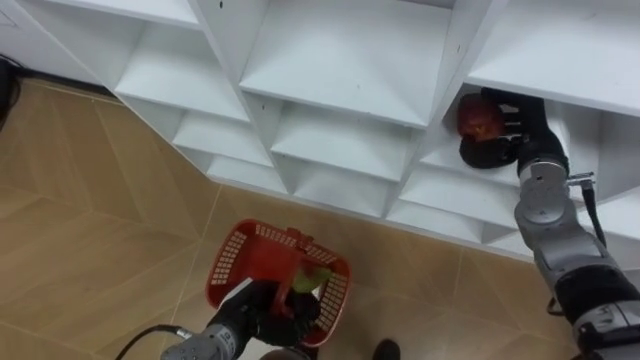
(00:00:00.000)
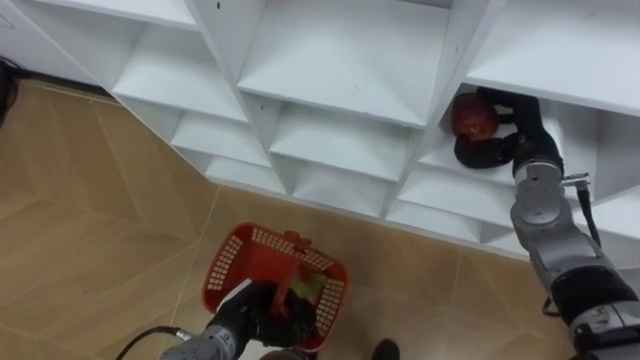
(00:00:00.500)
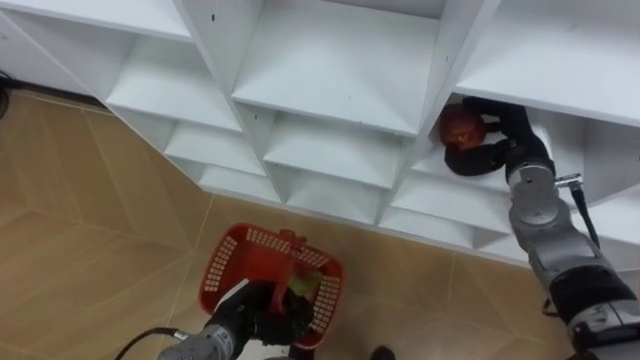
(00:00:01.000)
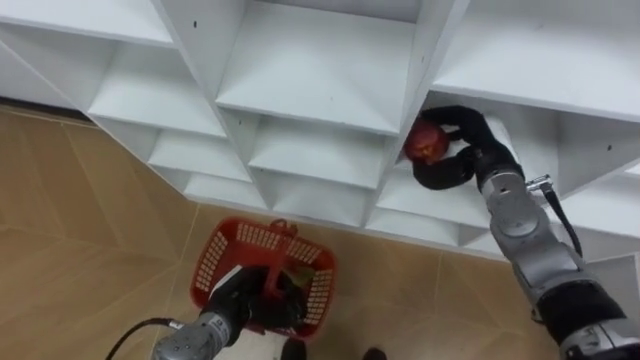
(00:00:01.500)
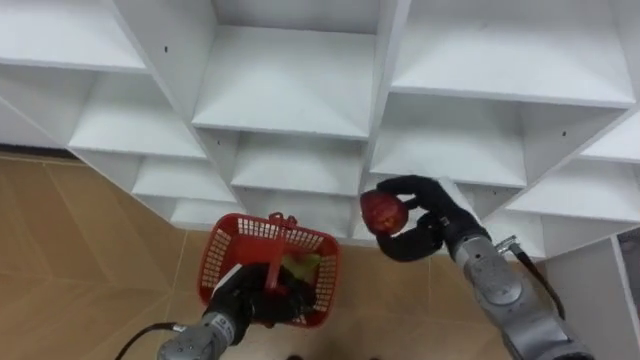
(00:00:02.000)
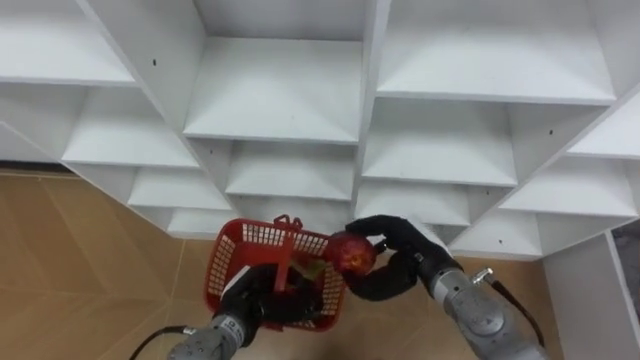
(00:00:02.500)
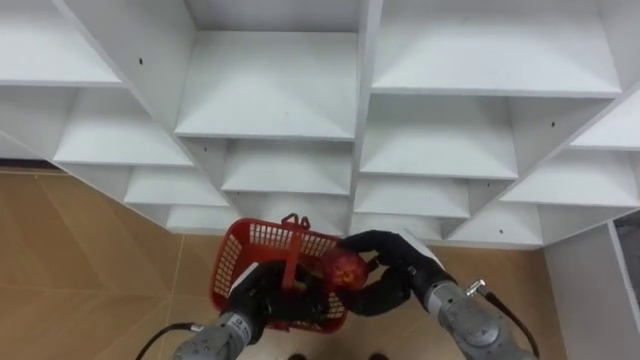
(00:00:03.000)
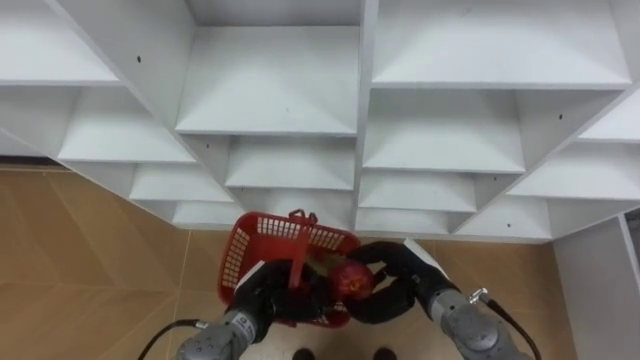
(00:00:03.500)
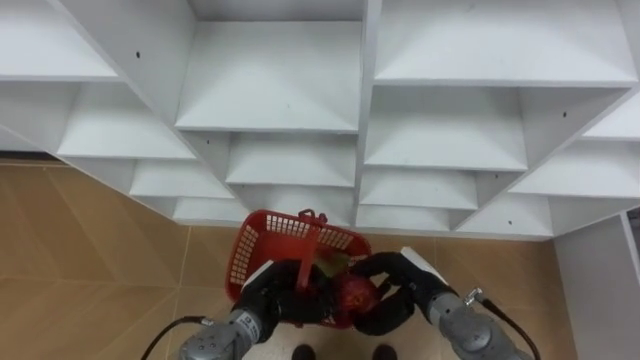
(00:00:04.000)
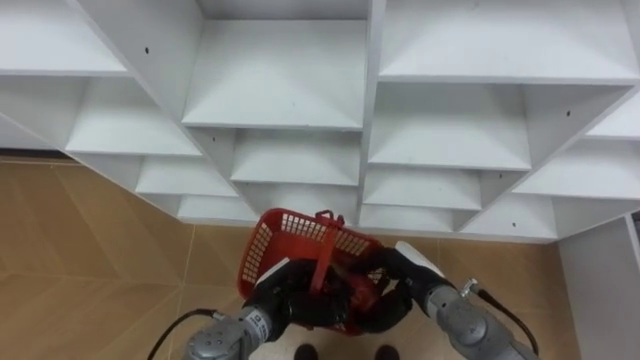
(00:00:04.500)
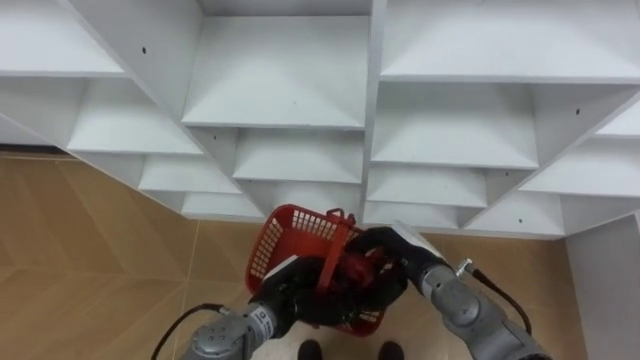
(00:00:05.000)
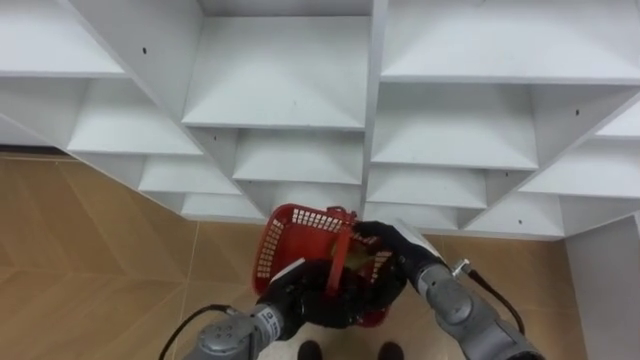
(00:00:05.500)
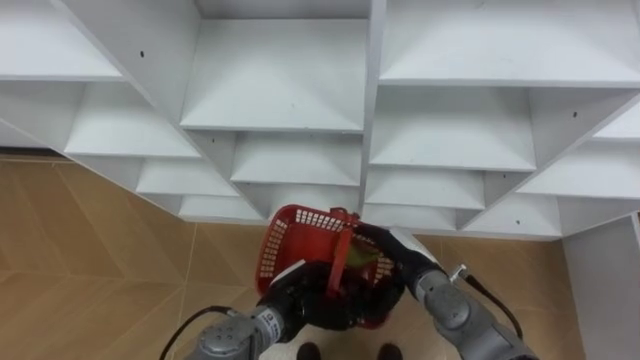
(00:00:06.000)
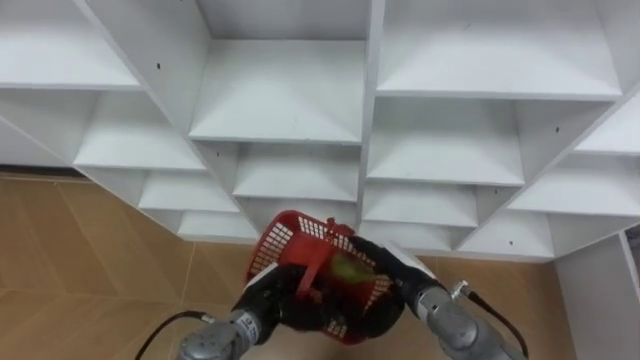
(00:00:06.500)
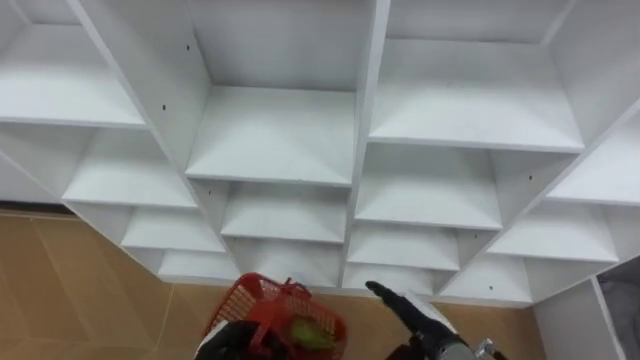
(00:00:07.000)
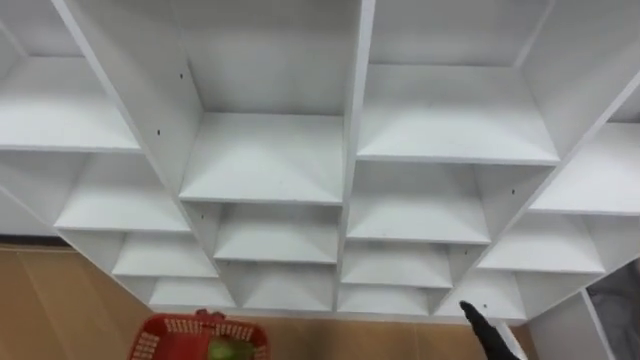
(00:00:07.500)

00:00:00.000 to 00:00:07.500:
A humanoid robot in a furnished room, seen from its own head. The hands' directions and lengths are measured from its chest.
Task of the whole recording: Hold the basket and collect the fruits from 3 different cells of the closet into it.
00:00:00.000 to 00:00:02.000: The right hand travels to the left, downward and backward by some 15 cm.
00:00:02.000 to 00:00:04.000: The right hand is displaced downward and backward by roughly 10 cm.
00:00:04.000 to 00:00:05.500: The right hand opens up.
00:00:05.500 to 00:00:07.500: The right hand moves backward, to the right and downward, roughly 20 cm.

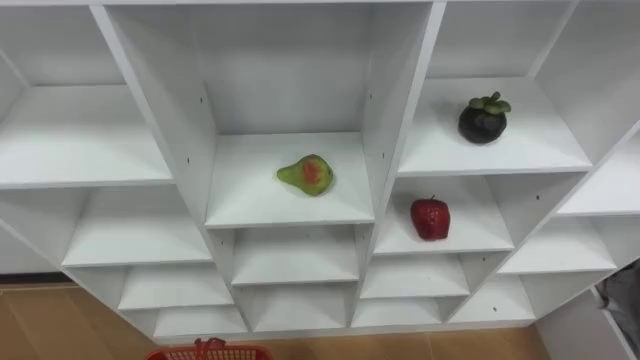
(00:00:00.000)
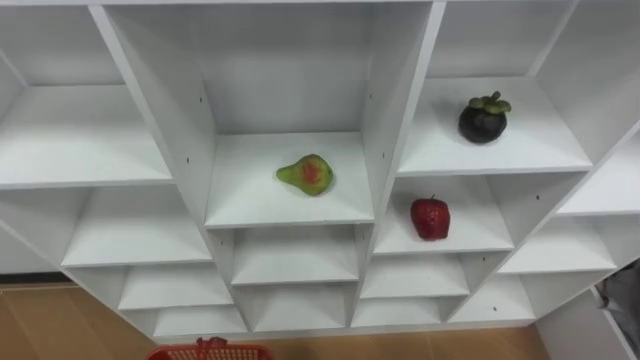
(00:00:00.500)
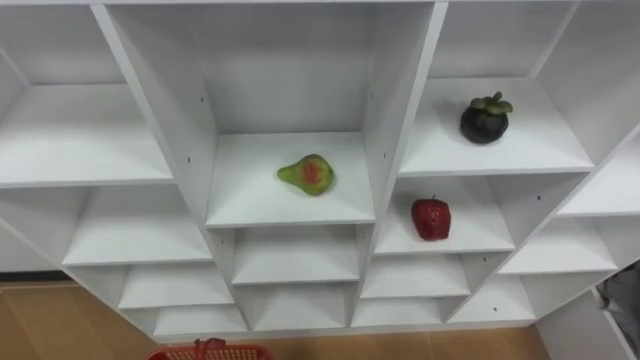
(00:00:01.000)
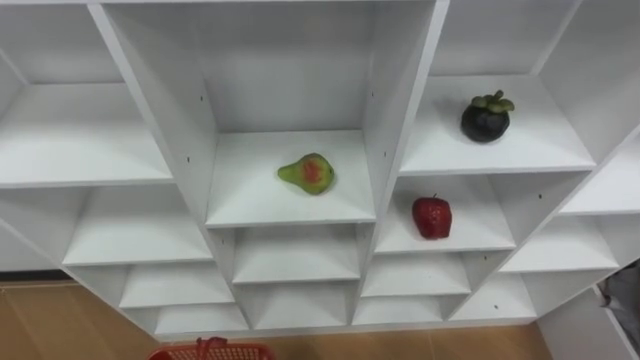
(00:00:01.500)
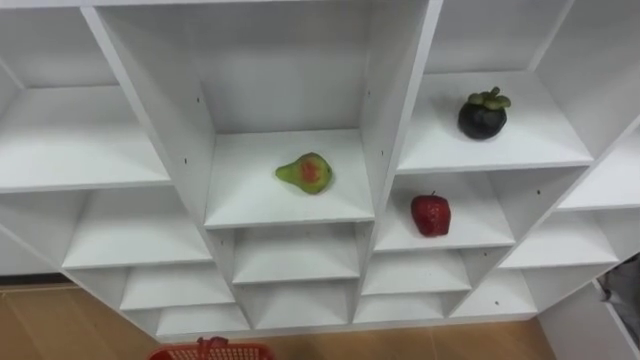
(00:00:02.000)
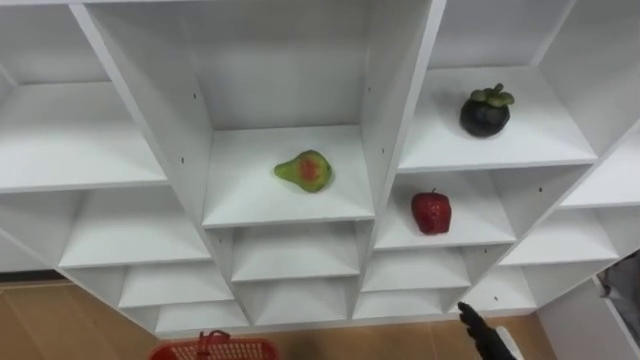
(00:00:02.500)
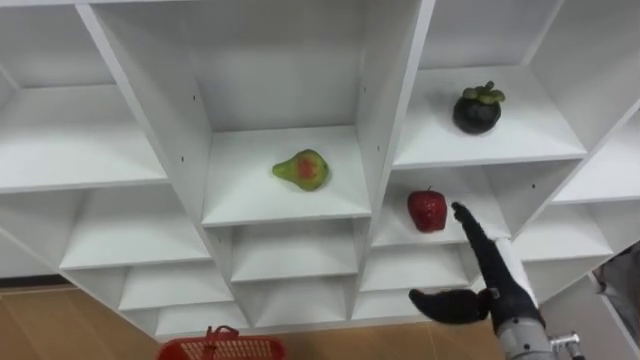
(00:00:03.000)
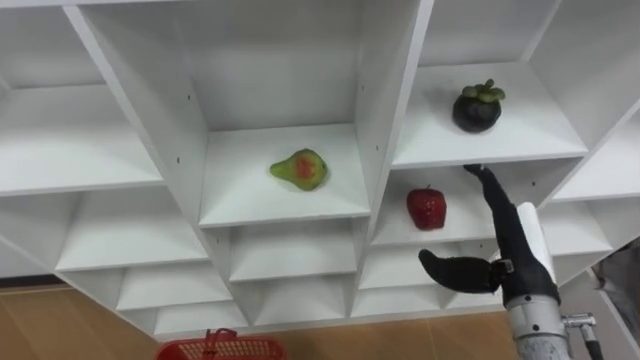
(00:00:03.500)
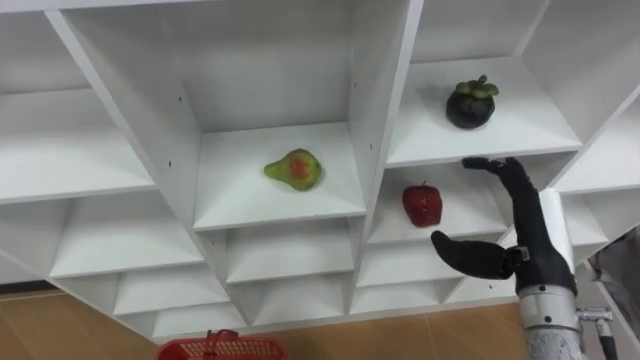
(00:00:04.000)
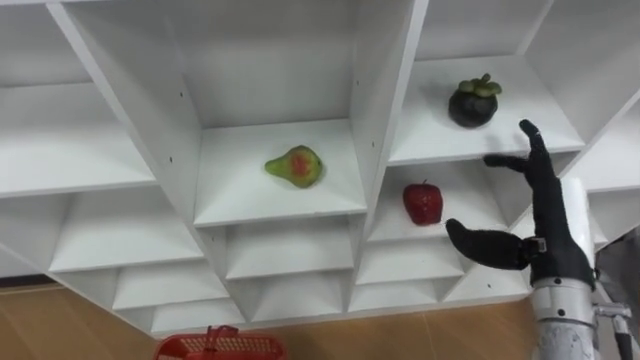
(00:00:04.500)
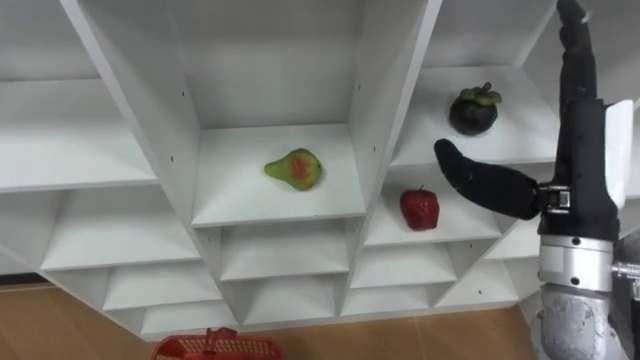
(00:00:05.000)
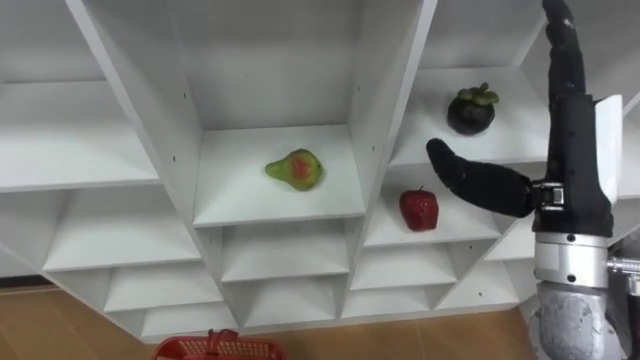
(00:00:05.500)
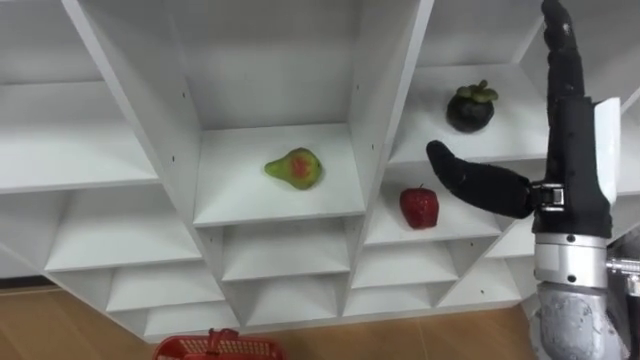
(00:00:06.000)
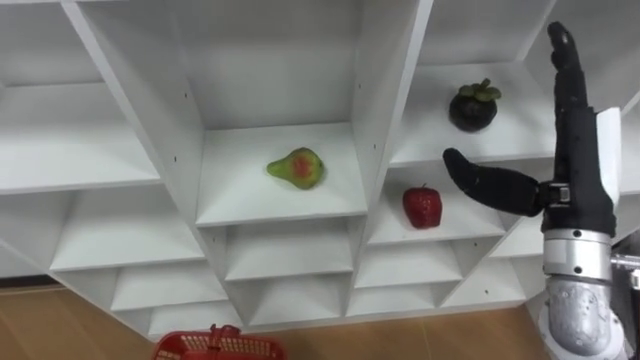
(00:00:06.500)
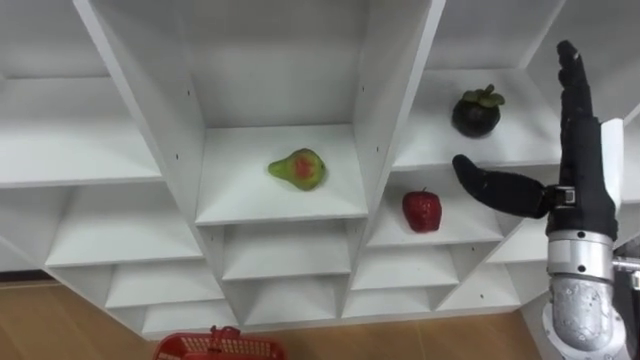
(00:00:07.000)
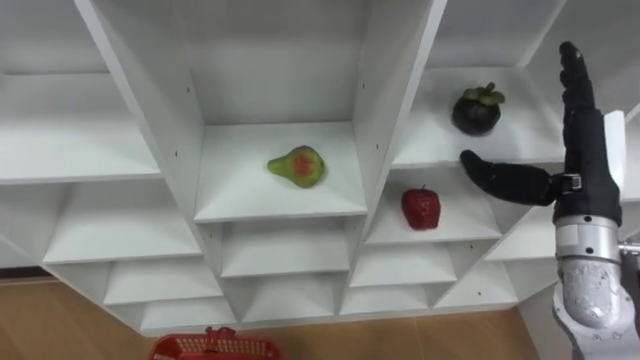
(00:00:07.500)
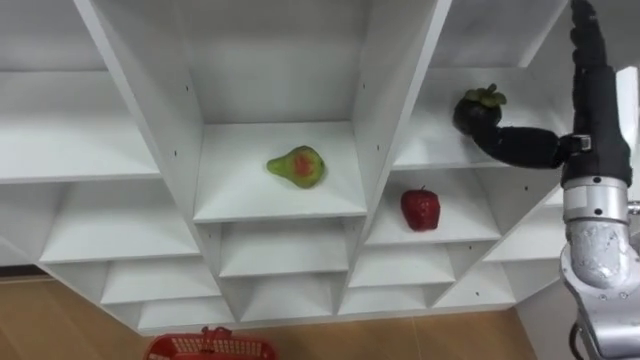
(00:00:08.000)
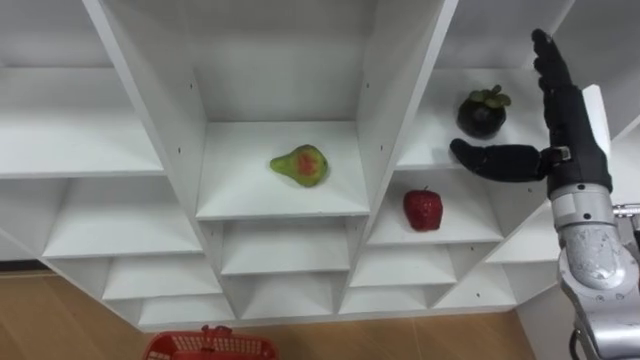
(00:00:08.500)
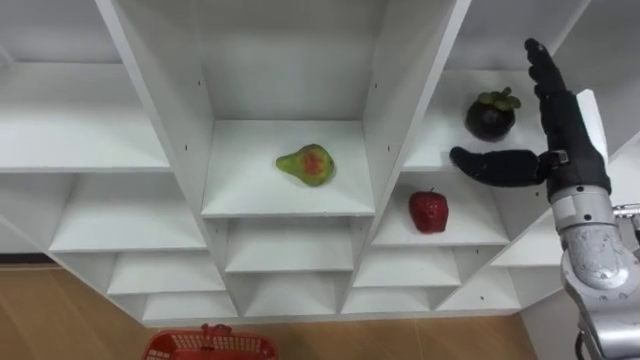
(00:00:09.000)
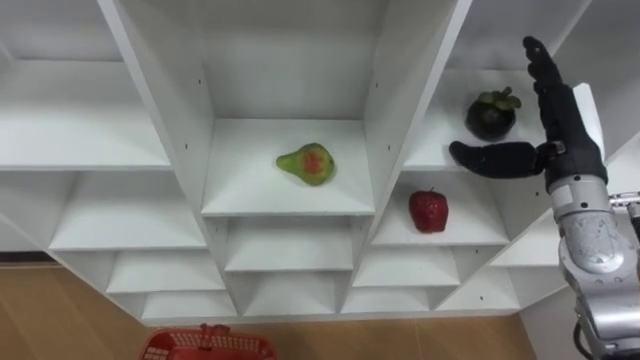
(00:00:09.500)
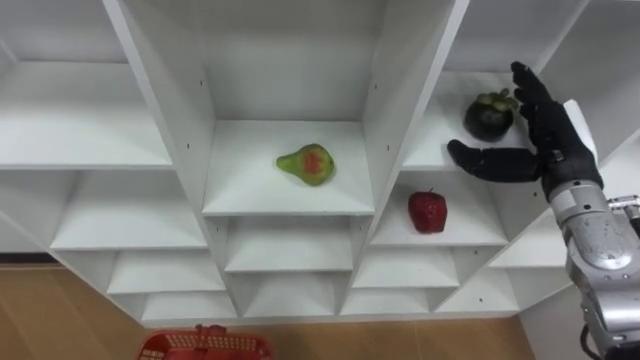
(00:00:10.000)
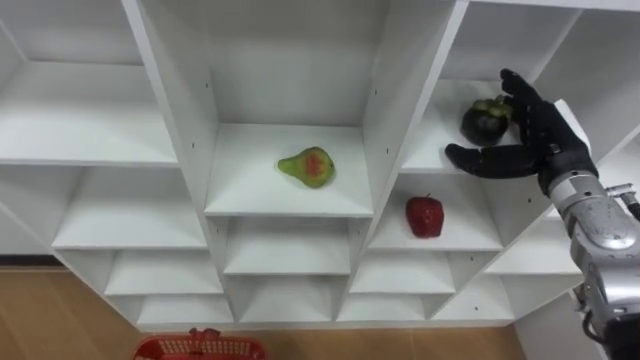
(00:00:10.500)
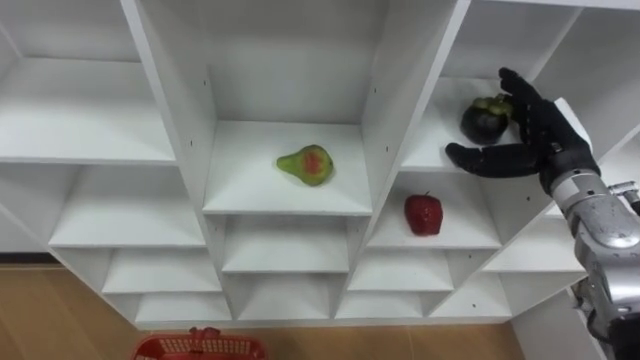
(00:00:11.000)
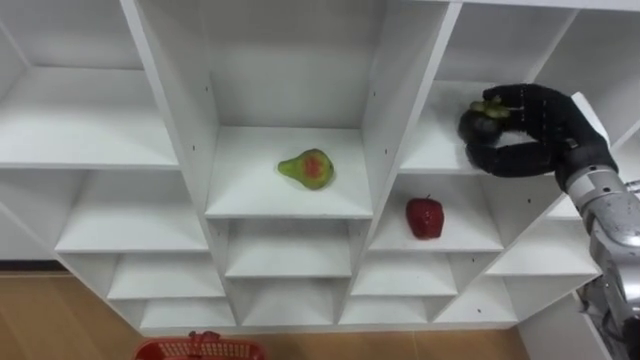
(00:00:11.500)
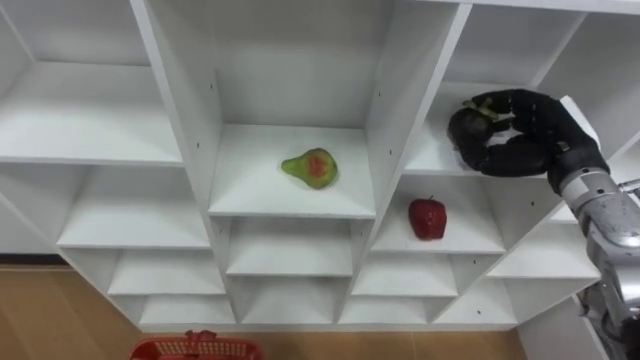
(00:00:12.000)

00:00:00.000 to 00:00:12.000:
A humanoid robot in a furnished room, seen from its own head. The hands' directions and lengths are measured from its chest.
Task of the whole recording: Hold the basket and collect the fruits from 3 different cells of the closet into it.
00:00:04.000 to 00:00:06.000: The right hand is displaced upward by roughly 10 cm.
00:00:06.000 to 00:00:08.000: The right hand shifts roughly 10 cm forward and to the right.
00:00:08.000 to 00:00:10.000: The right hand shifts roughly 5 cm downward.
00:00:10.000 to 00:00:12.000: The right hand closes up.
